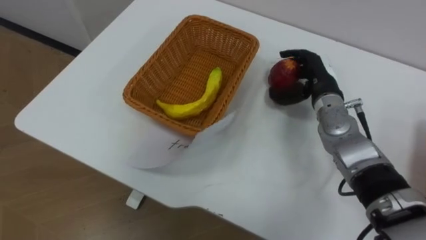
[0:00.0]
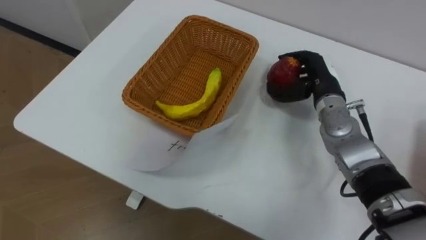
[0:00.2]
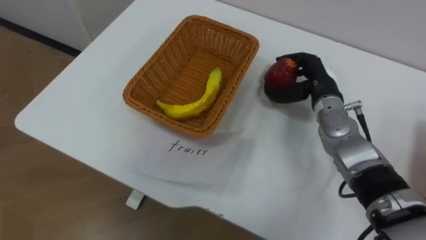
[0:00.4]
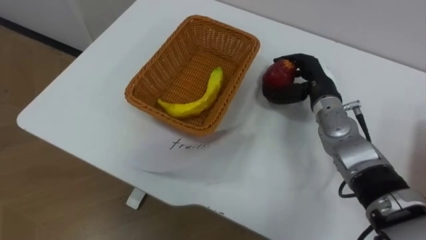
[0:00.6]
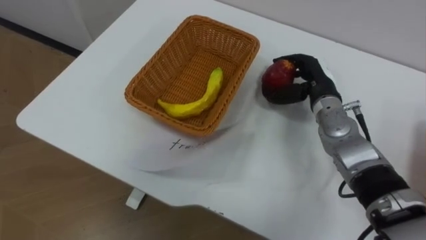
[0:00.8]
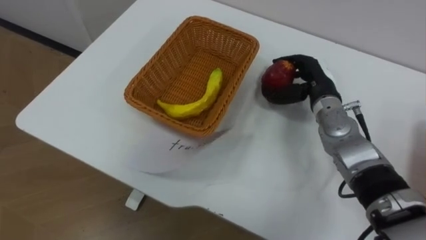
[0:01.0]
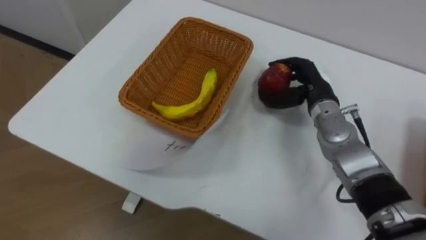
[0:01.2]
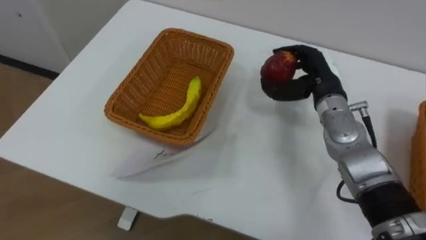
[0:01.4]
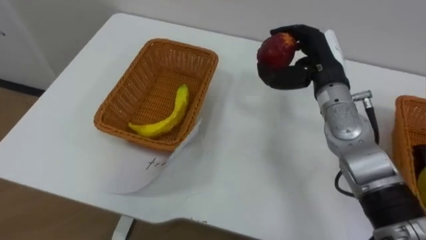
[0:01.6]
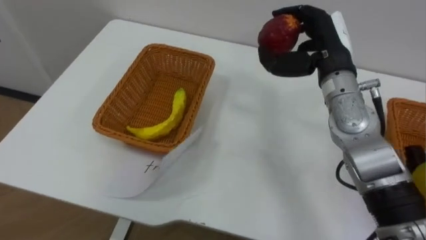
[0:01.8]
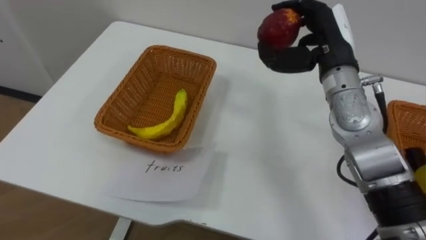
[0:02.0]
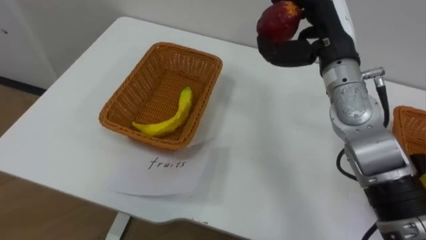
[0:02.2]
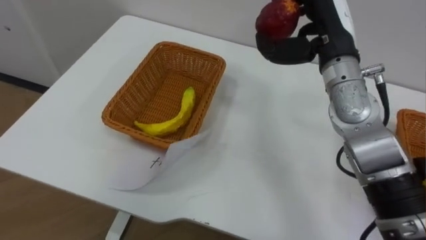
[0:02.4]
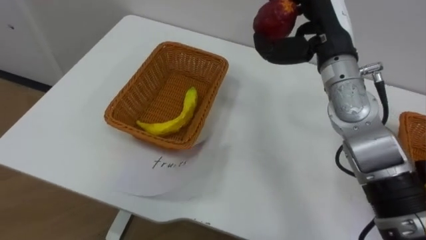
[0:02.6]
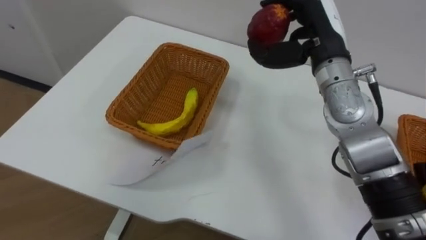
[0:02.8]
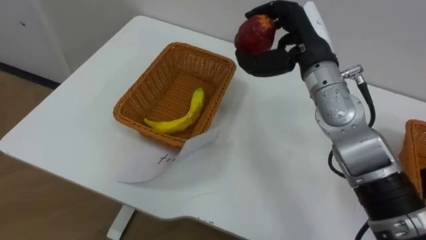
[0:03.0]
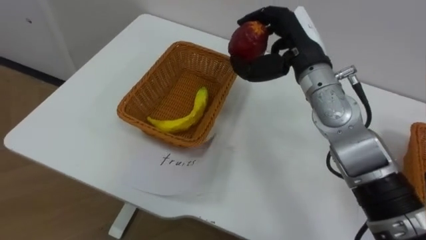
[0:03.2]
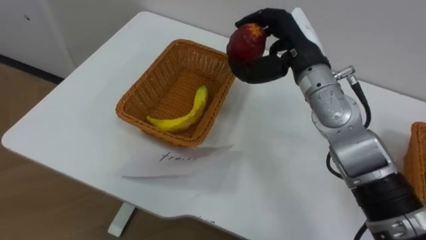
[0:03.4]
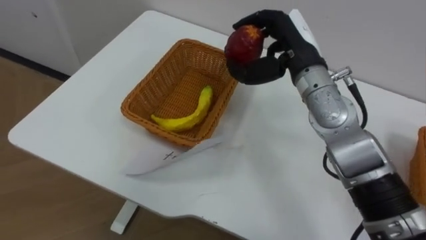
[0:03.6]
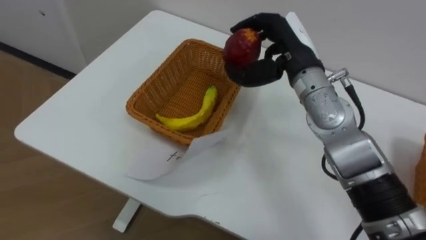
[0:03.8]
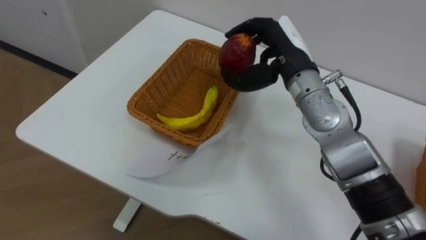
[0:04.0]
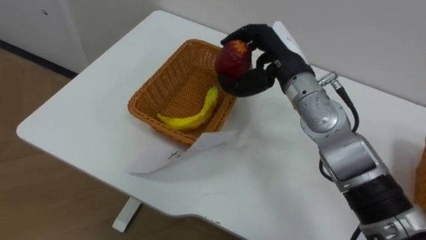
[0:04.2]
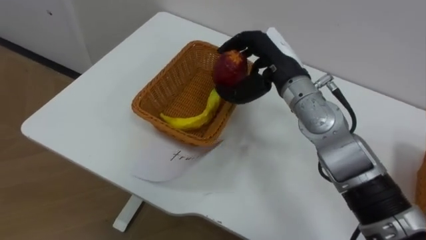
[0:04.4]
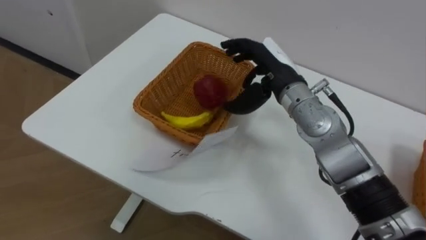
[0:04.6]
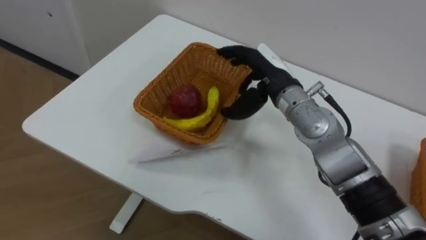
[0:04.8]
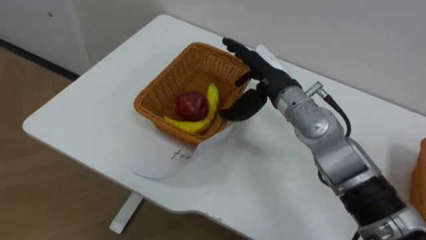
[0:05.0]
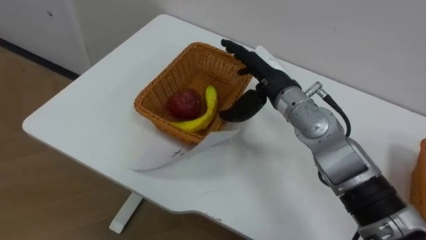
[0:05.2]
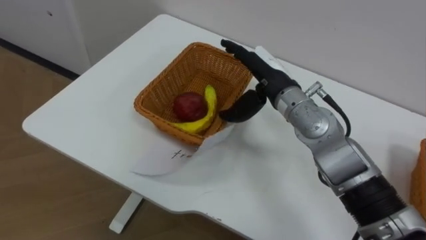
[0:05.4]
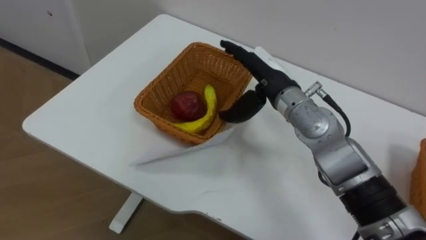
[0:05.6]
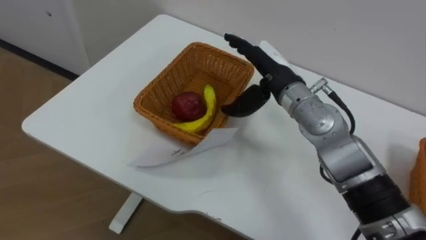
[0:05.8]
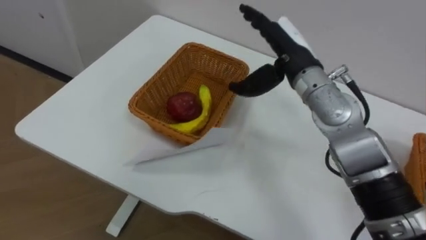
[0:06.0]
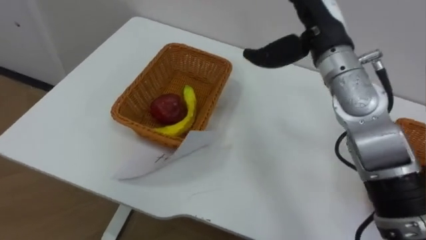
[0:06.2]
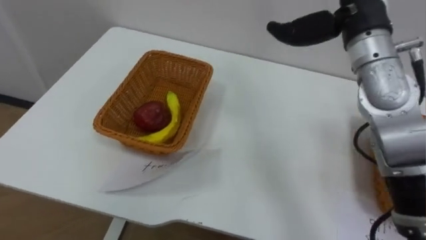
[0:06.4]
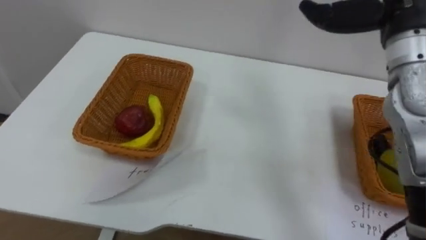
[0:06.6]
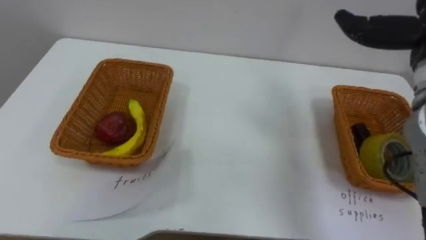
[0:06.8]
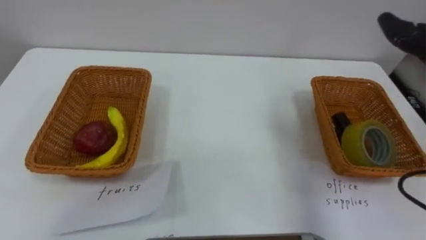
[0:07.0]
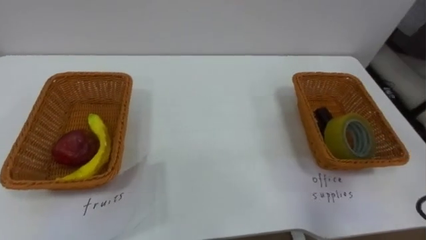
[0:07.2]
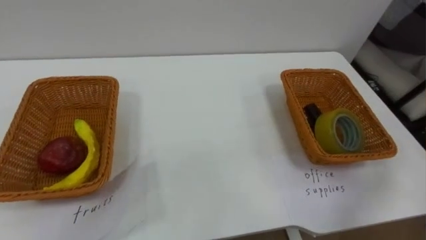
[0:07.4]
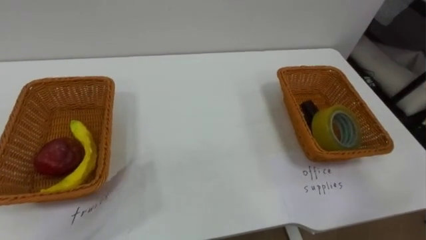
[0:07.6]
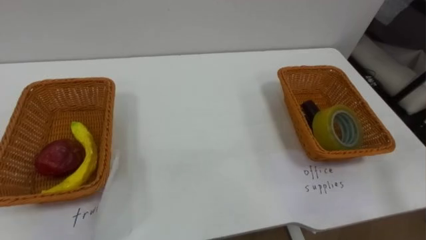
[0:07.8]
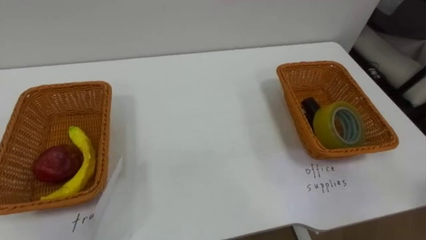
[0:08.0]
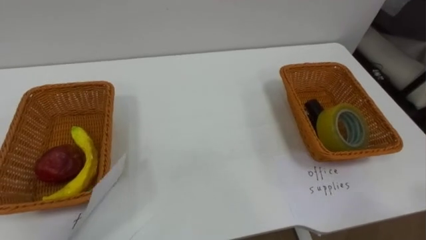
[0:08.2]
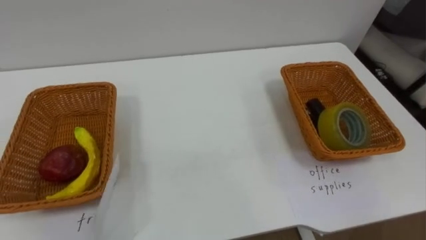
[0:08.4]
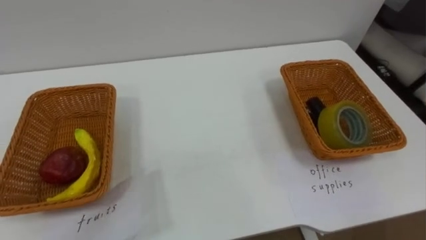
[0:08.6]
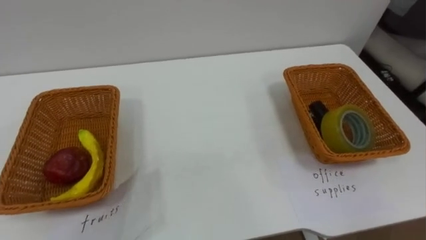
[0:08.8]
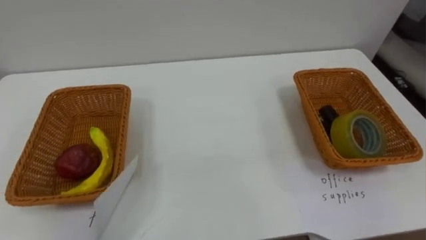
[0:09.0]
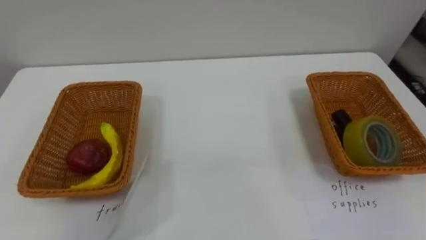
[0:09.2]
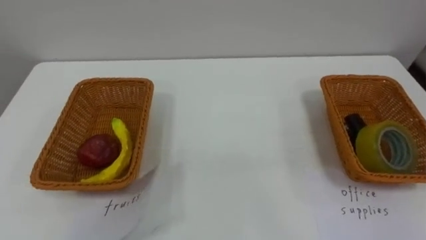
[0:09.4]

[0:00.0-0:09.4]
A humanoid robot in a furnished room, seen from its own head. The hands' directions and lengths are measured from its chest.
Task of the whole recording: Separate the items on the table and place them into the two baskets.
0:00.0 to 0:01.6: The right hand moves upward, about 5 cm.
0:01.6 to 0:03.2: The right hand is displaced upward and to the left by roughly 5 cm.
0:03.2 to 0:04.8: The right hand heads downward, covering approximately 5 cm.
0:04.8 to 0:06.2: The right hand shifts approximately 10 cm upward and to the right.

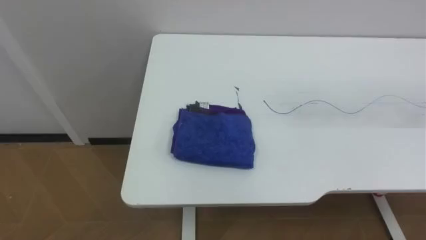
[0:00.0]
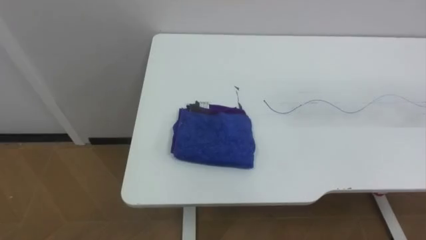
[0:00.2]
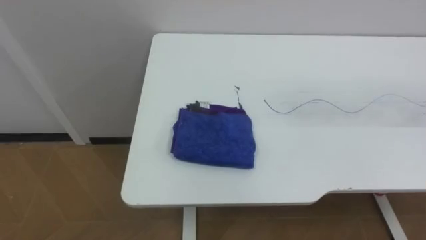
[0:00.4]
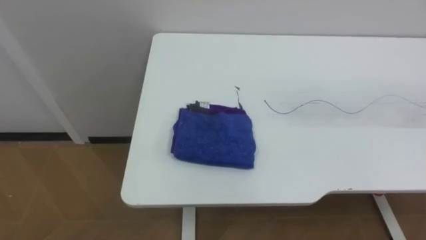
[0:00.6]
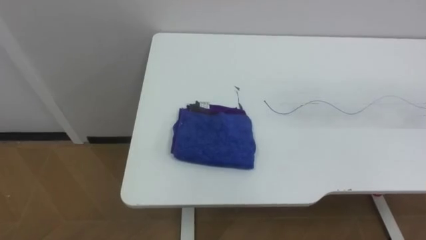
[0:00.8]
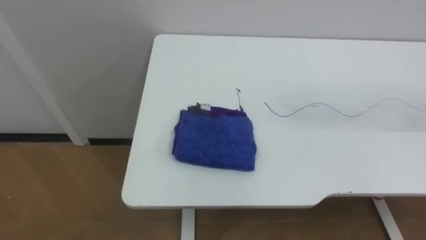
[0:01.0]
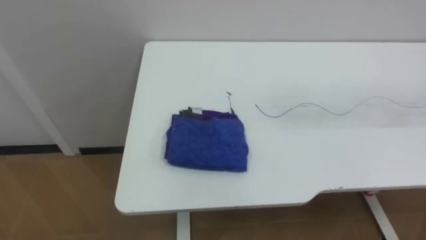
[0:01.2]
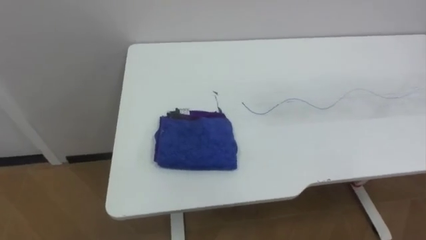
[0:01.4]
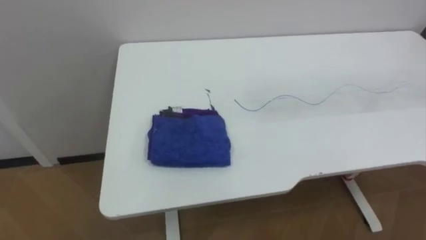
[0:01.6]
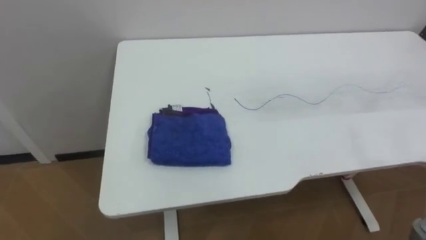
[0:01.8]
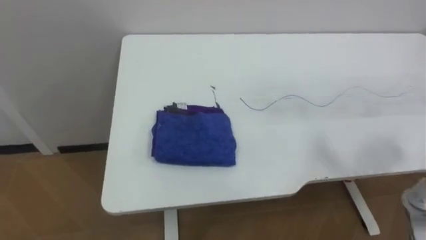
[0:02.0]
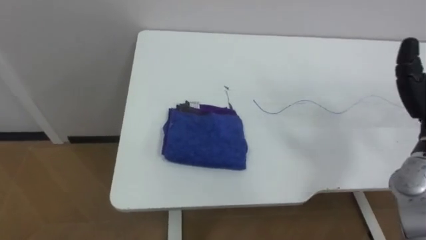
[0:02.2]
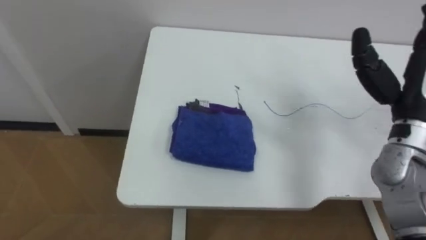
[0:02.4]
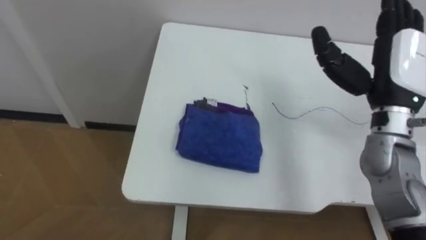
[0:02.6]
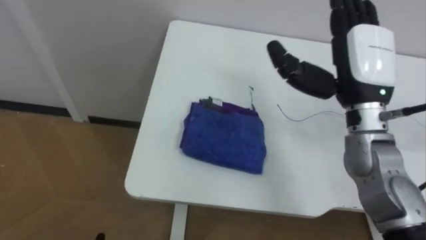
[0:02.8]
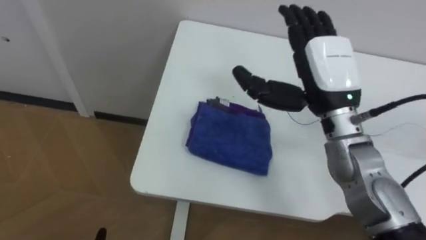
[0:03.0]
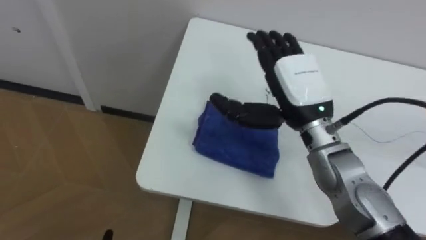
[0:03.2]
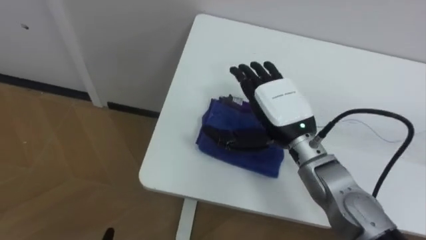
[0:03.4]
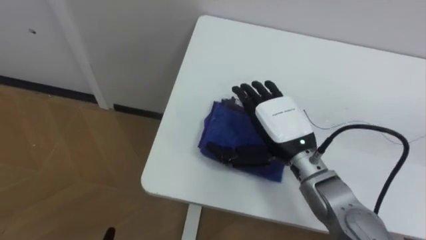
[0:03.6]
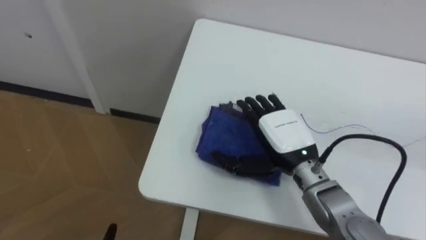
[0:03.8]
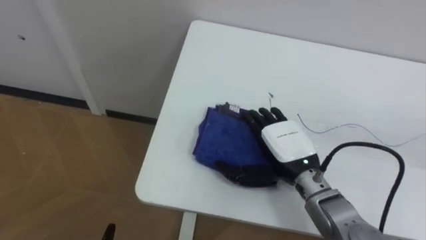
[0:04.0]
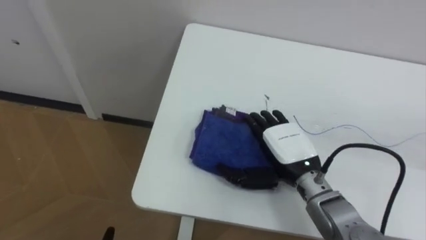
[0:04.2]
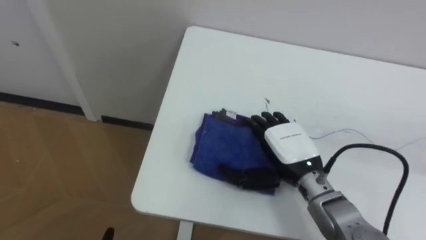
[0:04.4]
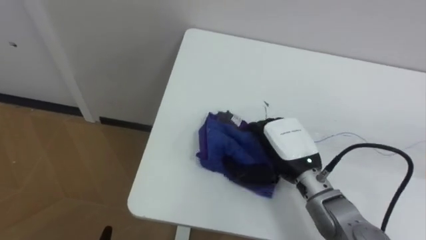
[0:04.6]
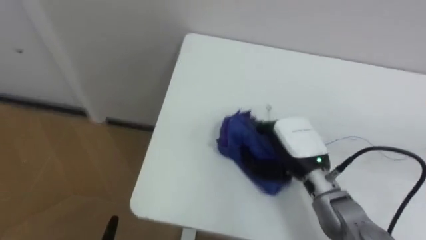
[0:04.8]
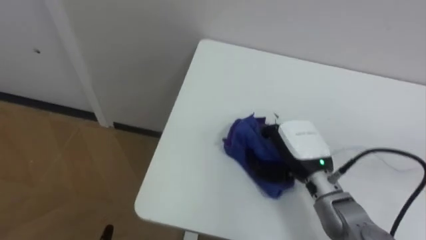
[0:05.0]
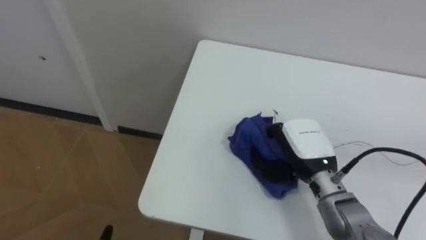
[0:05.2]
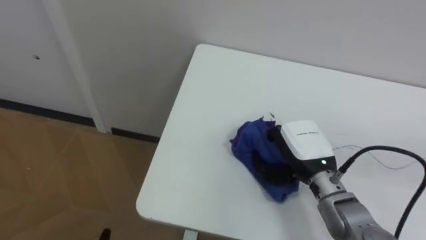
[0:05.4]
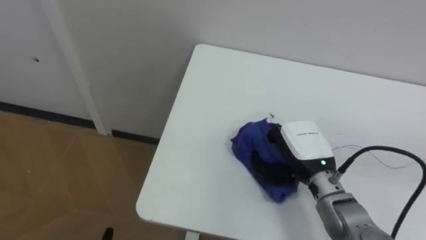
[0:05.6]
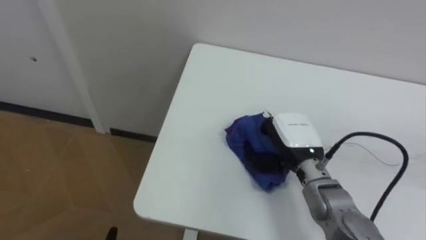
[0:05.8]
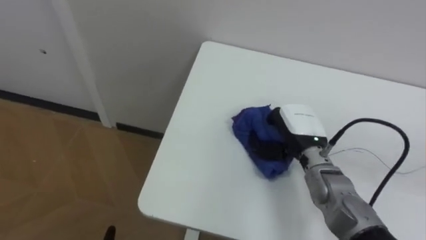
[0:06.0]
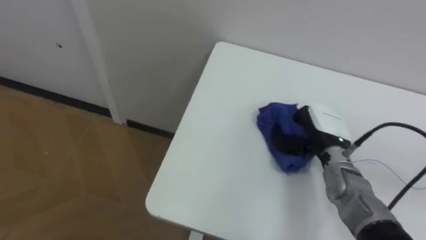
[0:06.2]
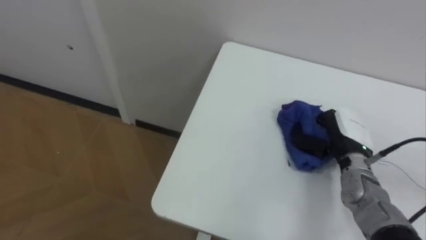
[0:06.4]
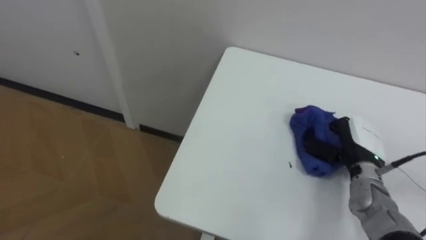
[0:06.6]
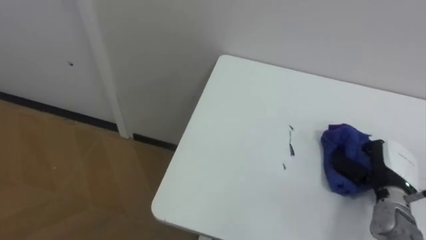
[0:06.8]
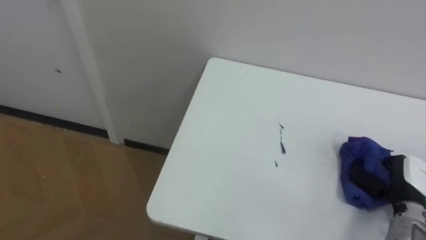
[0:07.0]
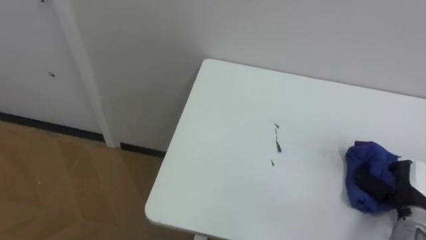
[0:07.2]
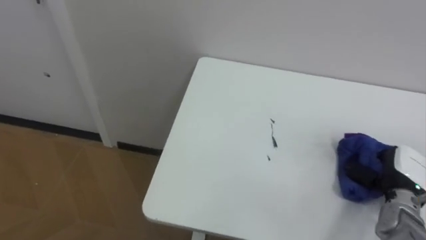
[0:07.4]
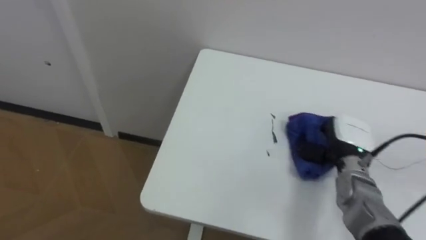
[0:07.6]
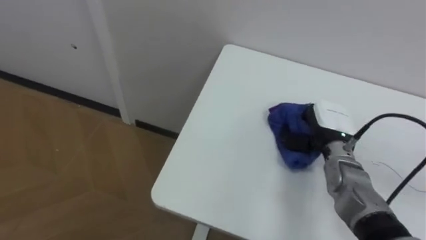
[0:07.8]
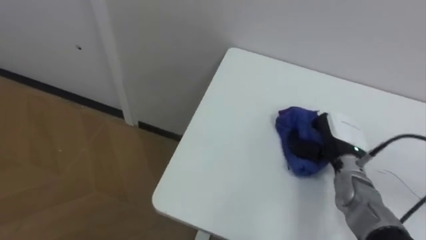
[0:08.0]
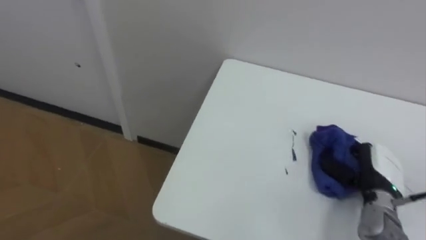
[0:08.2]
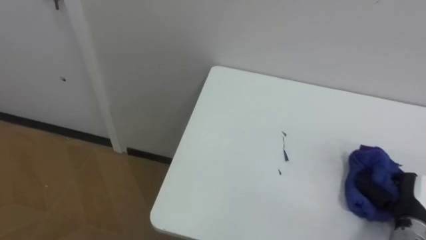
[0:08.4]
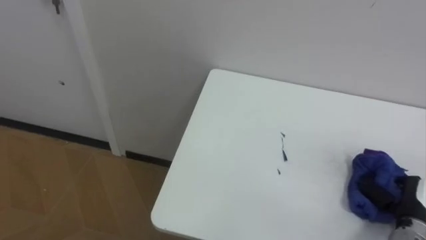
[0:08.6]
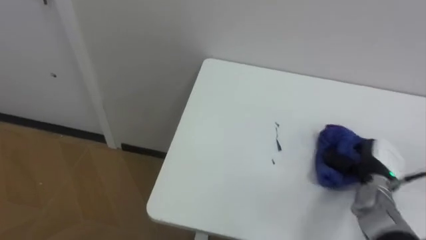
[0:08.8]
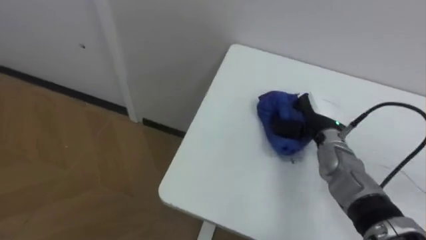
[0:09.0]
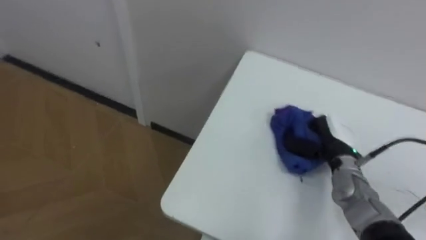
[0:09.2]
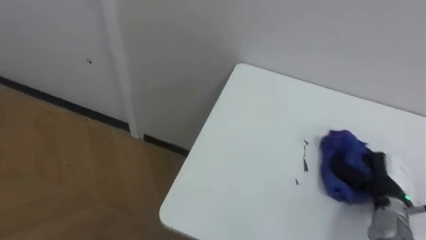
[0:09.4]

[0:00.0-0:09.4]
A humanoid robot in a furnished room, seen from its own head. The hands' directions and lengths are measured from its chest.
Task of the whole recording: Wipe the blue pen marks off the table with the rag.
0:03.2 to 0:04.8: The right hand is displaced downward by roughly 10 cm, and closes.
0:04.8 to 0:06.2: The right hand heads to the right and forward, covering approximately 10 cm, and closes its fingers.
0:06.2 to 0:07.8: The right hand reaches some 15 cm to the right, then returns.
0:07.8 to 0:09.4: The right hand moves forward and backward over roughly 15 cm, changing direction 2 times.
